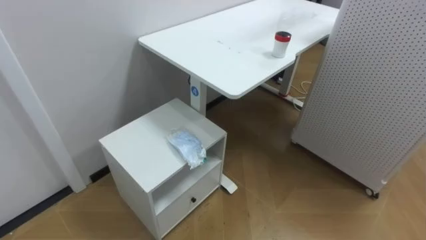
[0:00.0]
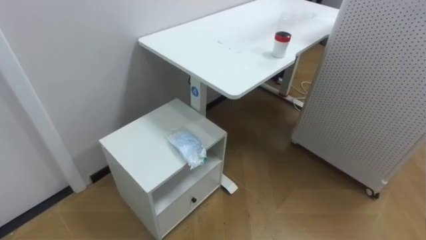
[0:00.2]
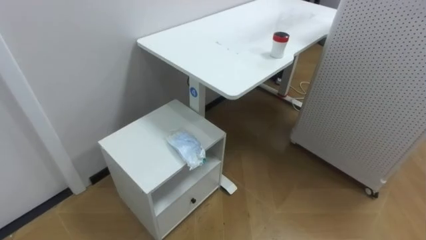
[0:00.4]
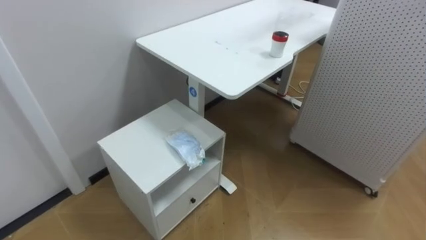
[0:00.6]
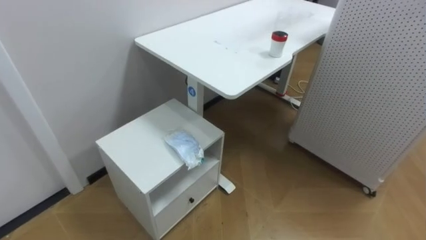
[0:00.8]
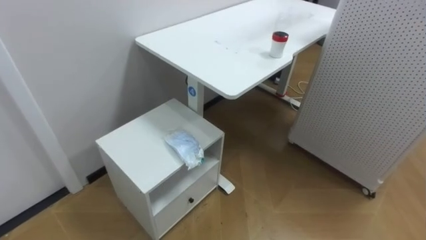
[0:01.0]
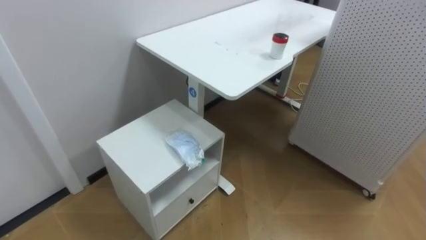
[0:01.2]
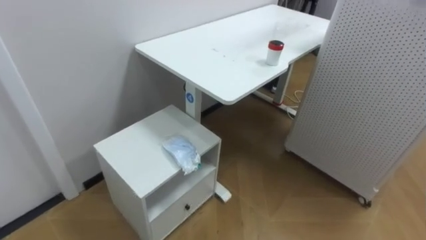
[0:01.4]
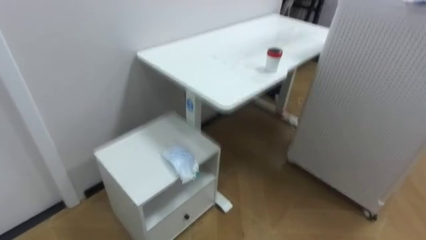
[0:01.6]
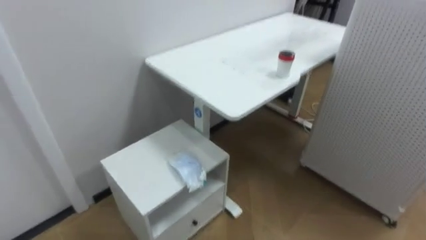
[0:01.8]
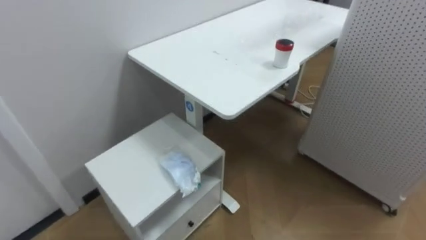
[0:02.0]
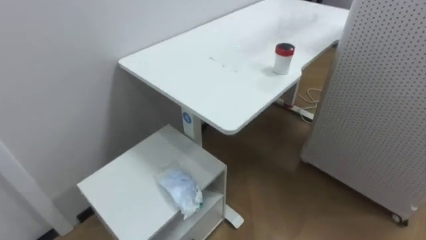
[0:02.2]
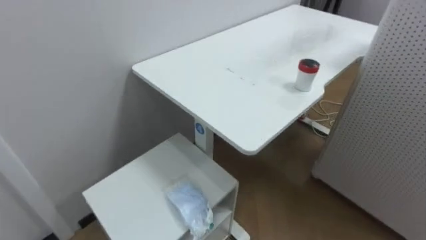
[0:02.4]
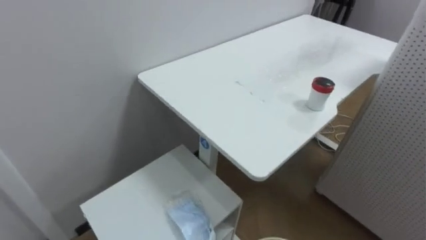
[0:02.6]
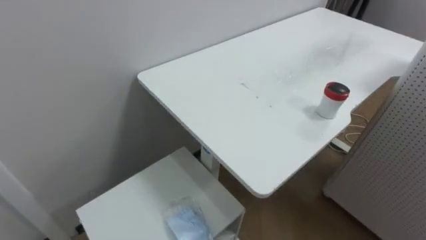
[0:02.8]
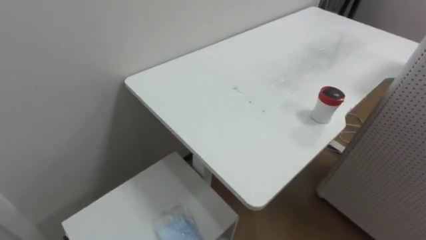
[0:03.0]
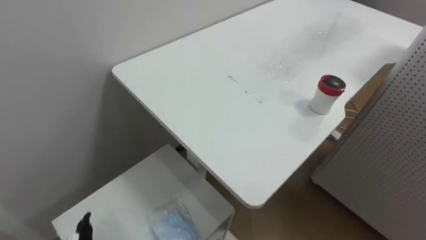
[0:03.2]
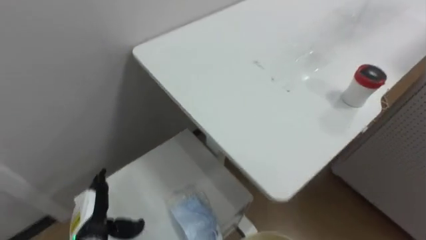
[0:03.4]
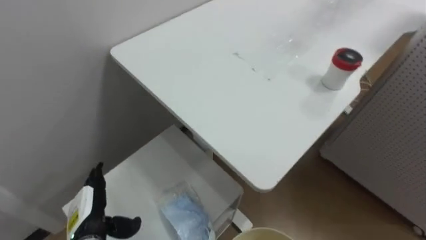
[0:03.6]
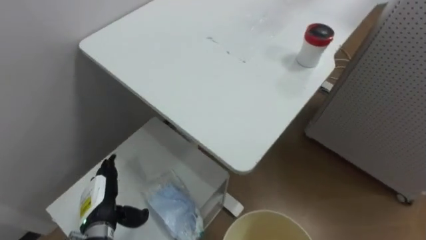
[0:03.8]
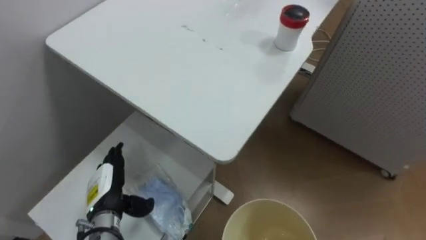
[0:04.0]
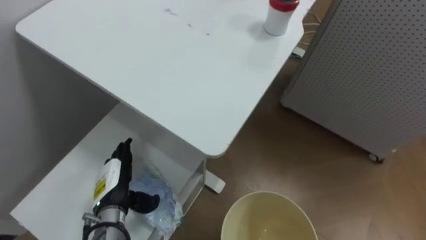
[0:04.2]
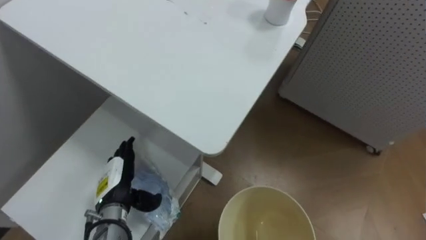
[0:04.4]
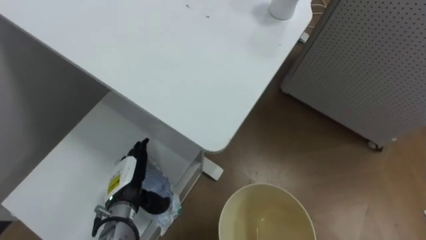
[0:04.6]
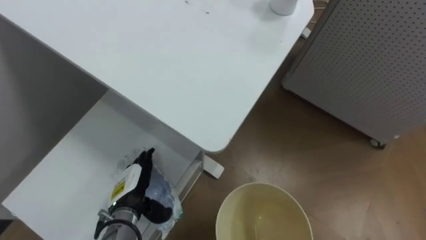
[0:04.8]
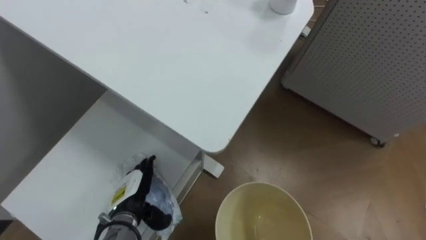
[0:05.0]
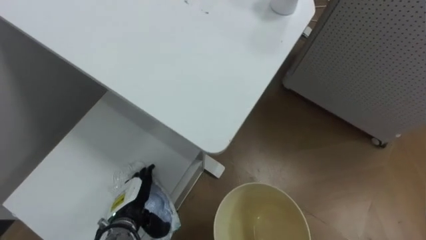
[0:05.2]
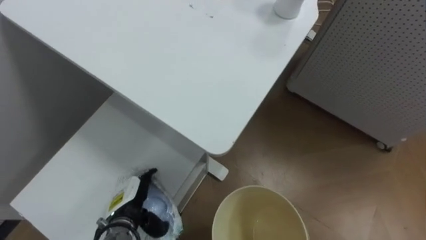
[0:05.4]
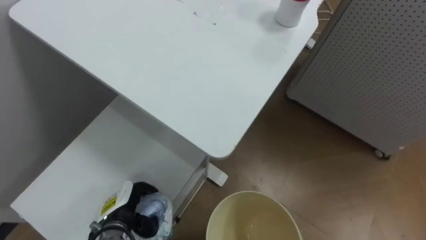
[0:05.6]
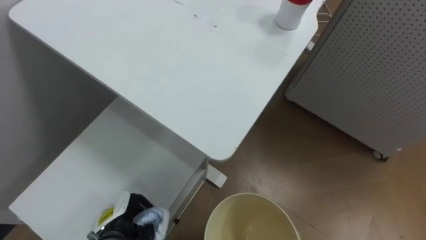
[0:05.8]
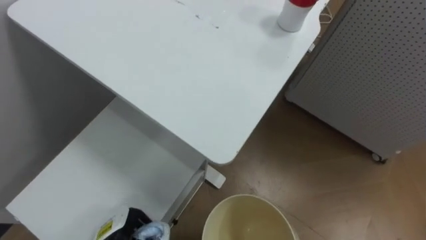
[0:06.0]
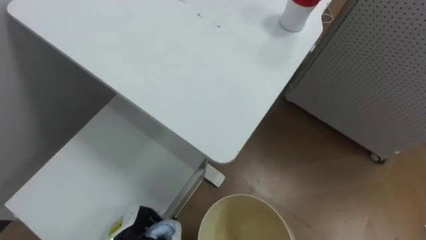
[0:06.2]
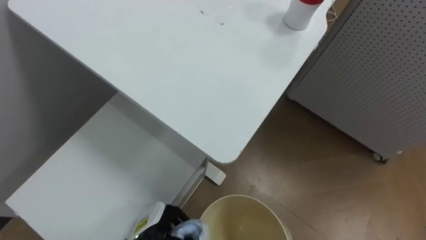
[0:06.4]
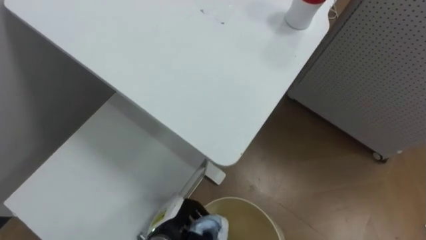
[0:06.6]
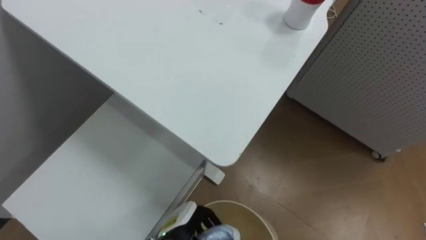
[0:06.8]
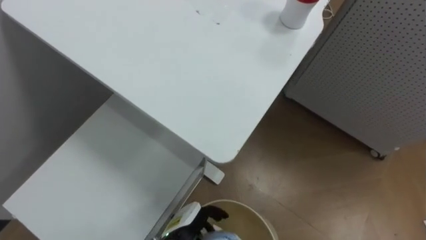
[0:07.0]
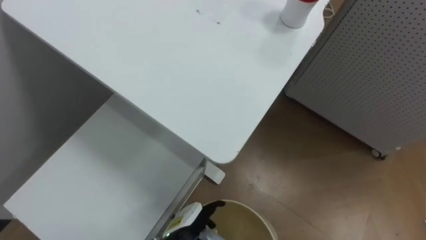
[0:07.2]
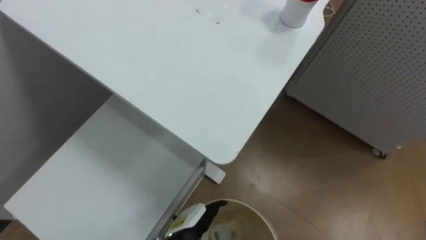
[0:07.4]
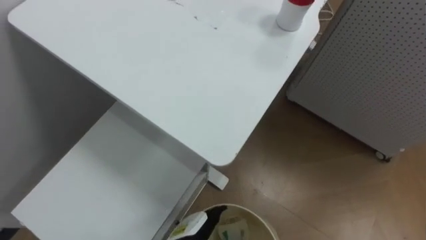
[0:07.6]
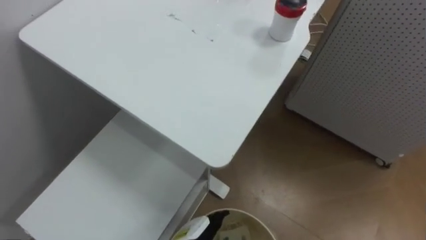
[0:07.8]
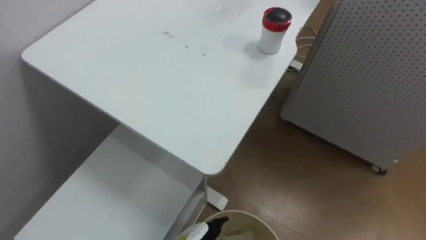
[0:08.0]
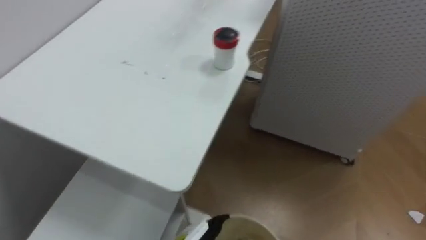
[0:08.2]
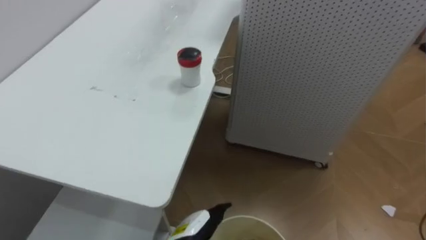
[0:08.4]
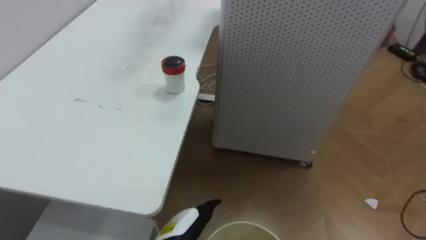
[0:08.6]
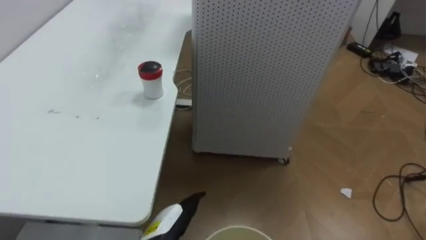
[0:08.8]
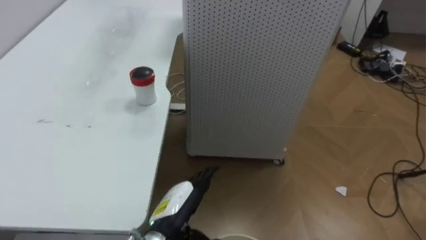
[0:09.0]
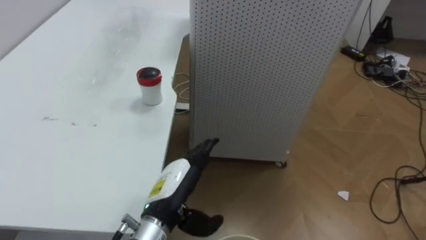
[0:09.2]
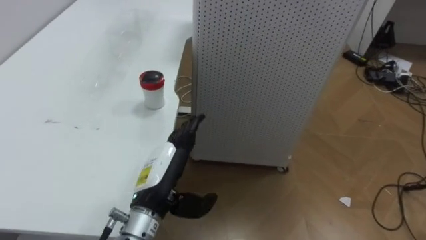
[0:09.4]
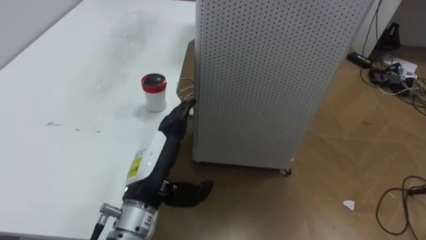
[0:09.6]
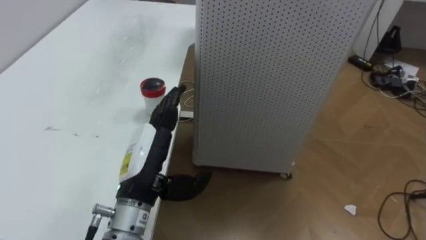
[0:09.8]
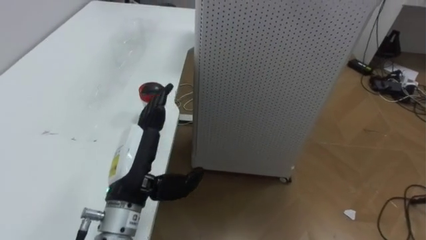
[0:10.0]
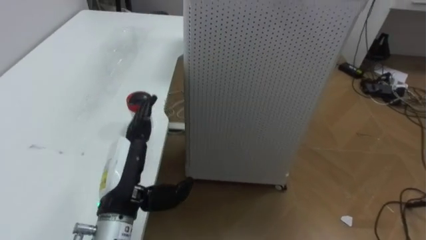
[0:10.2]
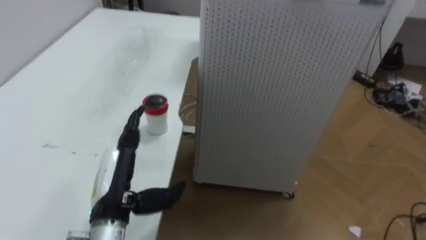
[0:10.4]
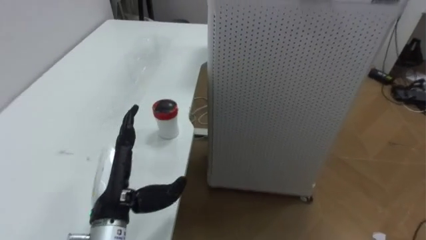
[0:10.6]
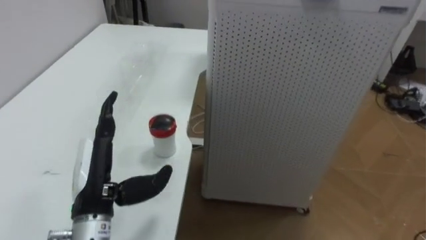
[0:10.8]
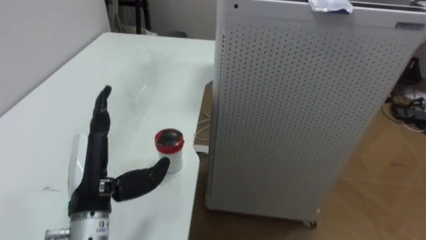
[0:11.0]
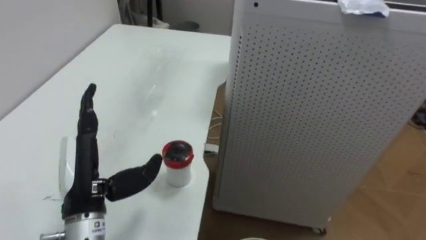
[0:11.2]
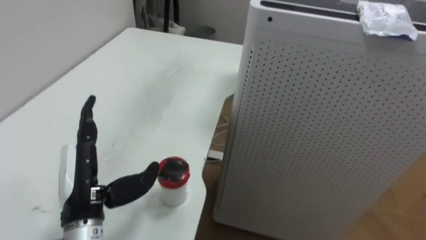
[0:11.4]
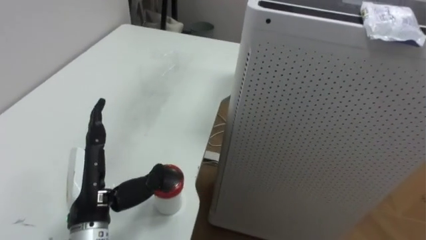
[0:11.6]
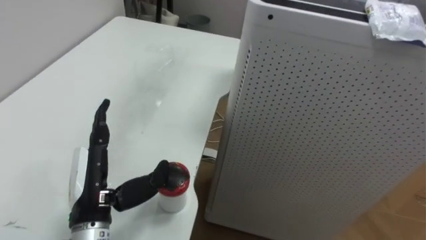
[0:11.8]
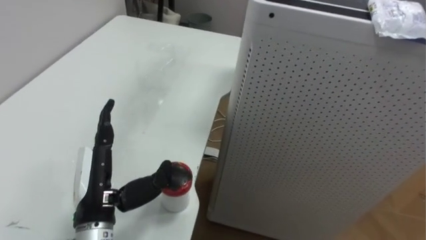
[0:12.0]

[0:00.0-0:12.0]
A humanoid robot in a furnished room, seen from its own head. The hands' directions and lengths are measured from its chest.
Task of the whole recording: Pick up the light blue package, the candy box, and the dark blue package separately, and put them into the trash can held in your right hand.
0:04.4 to 0:06.0: The left hand shifts roughly 10 cm downward and backward, and closes.
0:06.0 to 0:07.6: The left hand heads to the right, covering approximately 15 cm, and opens up.
0:07.6 to 0:09.0: The robot faces roughly 35 degrees further to its right.
0:09.0 to 0:10.4: The left hand goes roughly 15 cm upward and to the left.

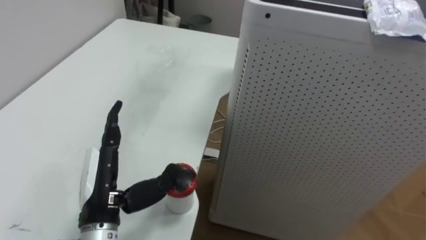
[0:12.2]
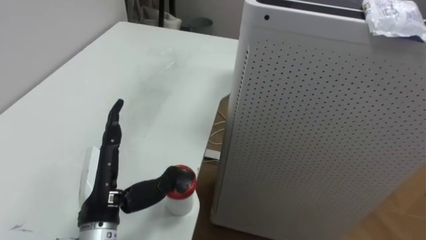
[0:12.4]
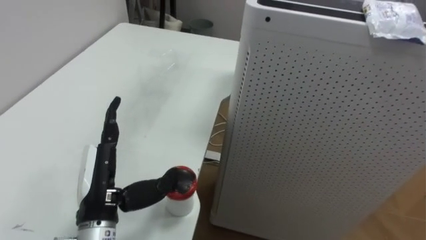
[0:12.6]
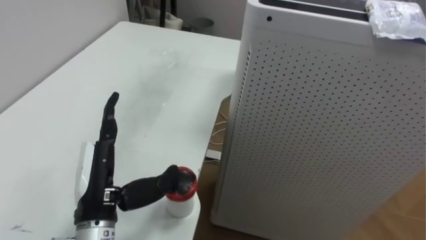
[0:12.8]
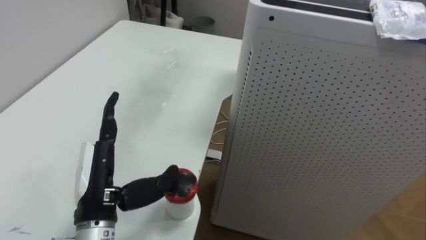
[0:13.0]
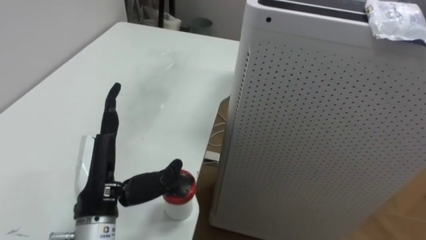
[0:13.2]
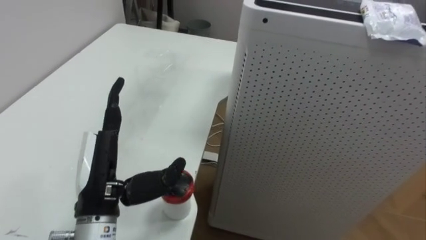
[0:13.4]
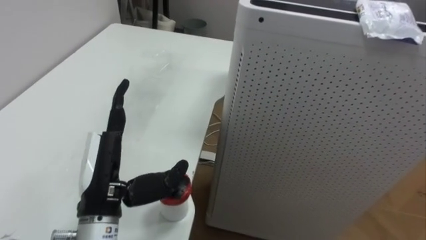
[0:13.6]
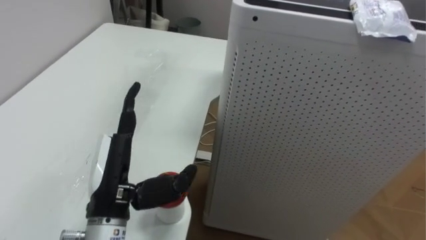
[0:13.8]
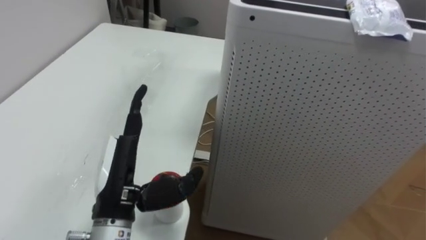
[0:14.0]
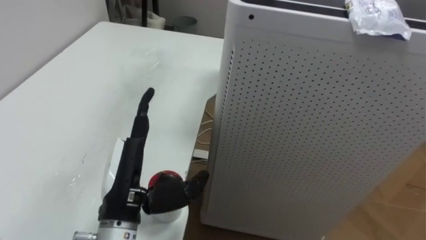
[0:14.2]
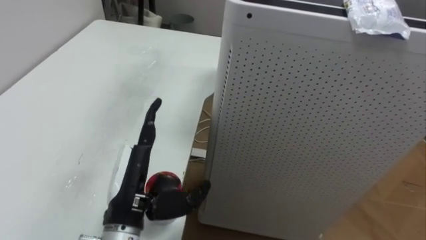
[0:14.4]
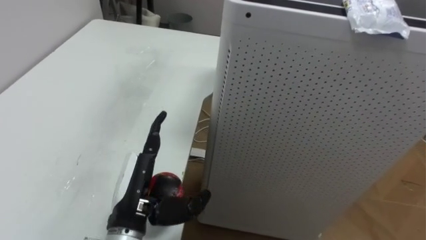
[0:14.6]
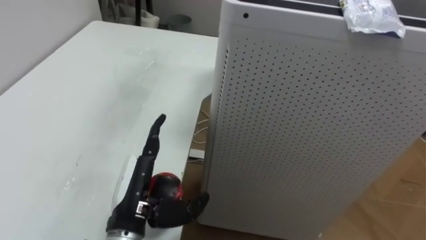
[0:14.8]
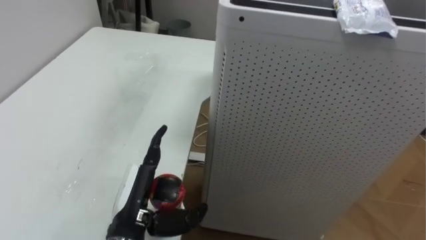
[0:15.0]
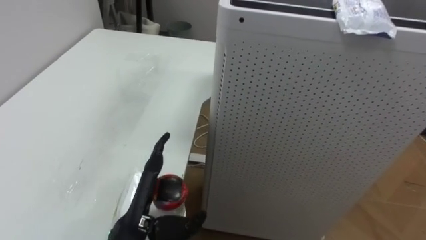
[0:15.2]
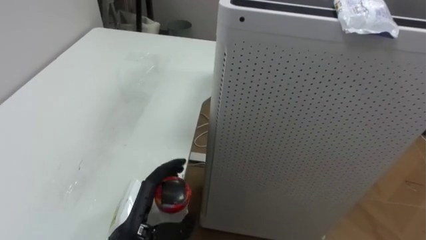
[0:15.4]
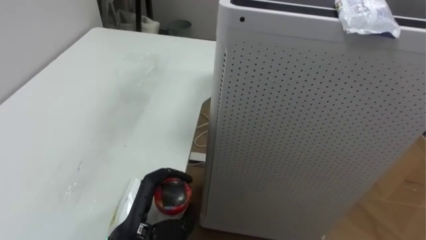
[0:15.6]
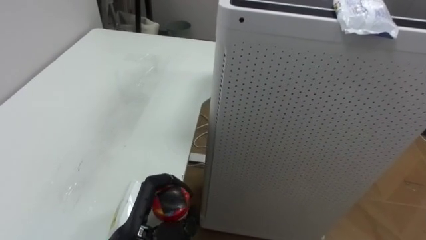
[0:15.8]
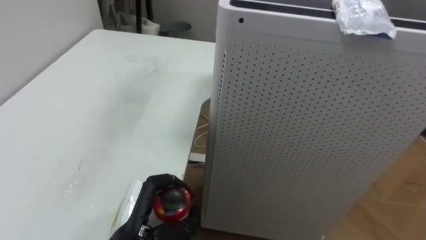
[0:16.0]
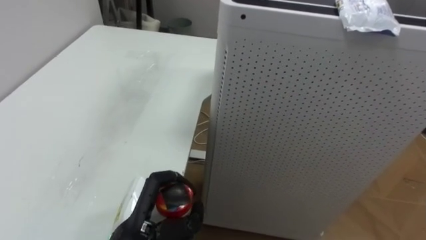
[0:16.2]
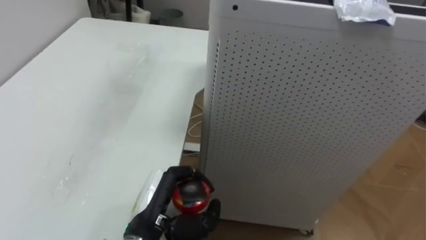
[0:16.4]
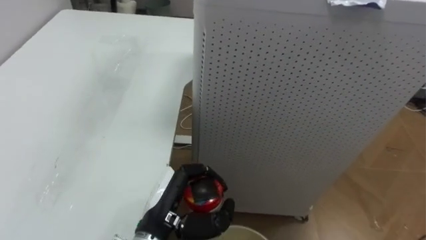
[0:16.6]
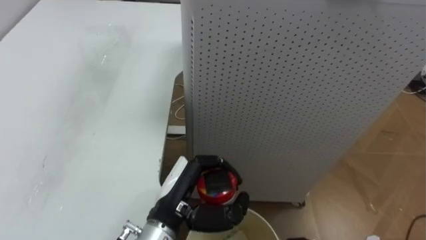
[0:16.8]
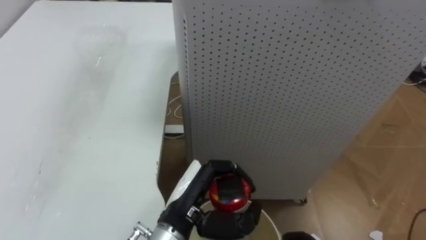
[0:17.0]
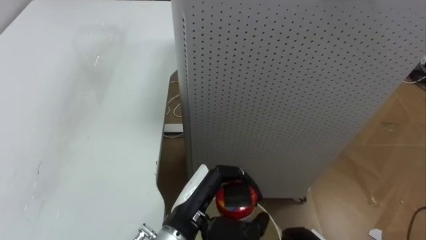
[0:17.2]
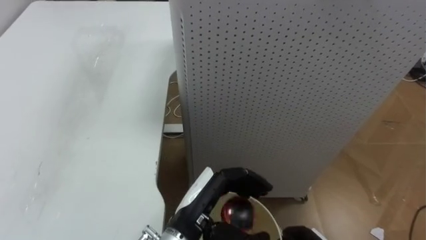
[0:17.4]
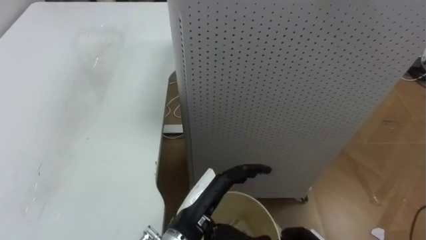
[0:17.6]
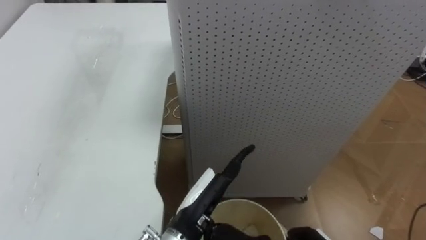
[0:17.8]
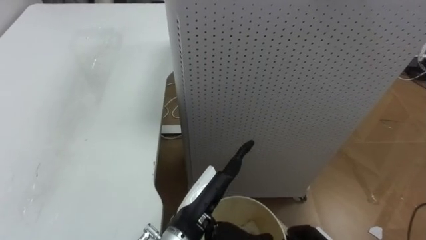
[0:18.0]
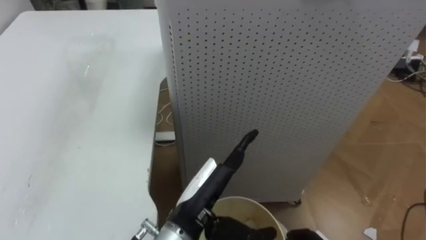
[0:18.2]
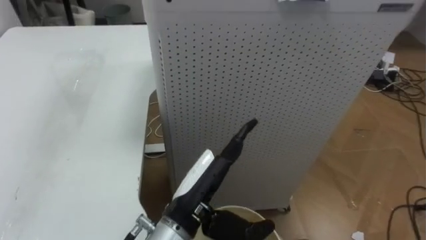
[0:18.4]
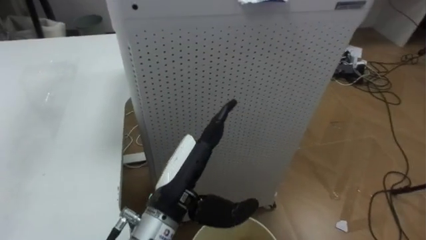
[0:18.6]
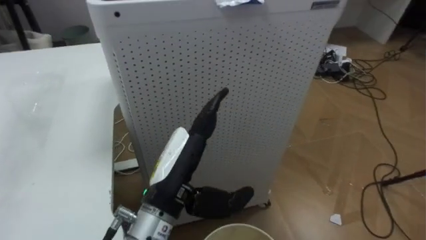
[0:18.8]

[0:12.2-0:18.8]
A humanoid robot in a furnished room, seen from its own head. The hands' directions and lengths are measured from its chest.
Task of the whole recording: Pick up the light blue package, the candy box, and the dark blue package separately, and put them into the trash can held in your right hand.
0:13.8 to 0:15.4: The left hand goes approximately 10 cm downward.
0:15.4 to 0:17.2: The left hand moves to the right, roughly 10 cm, and closes its fingers.
0:17.2 to 0:18.8: The left hand travels upward by roughly 5 cm, and opens its fingers.
